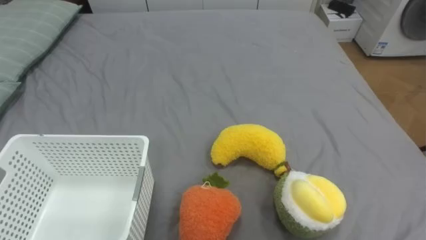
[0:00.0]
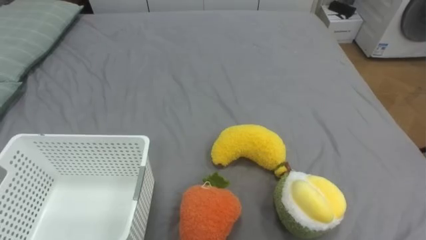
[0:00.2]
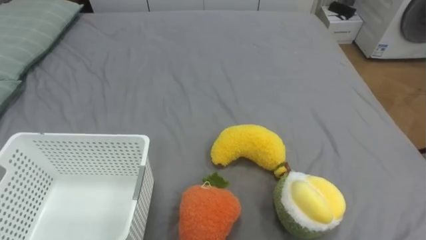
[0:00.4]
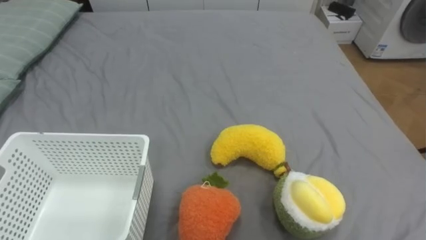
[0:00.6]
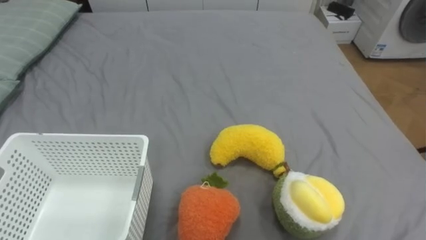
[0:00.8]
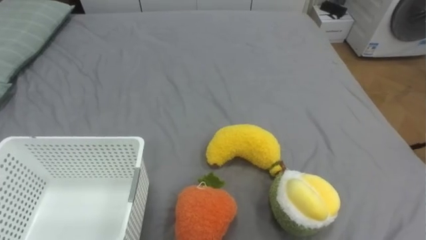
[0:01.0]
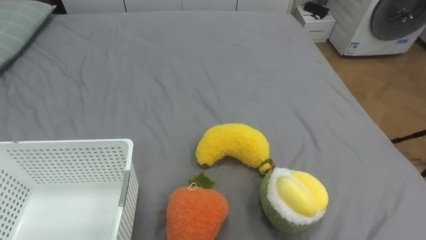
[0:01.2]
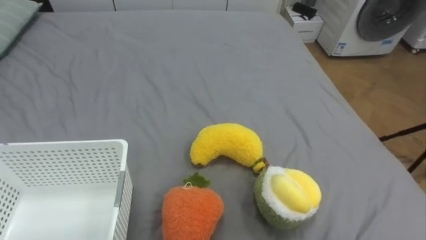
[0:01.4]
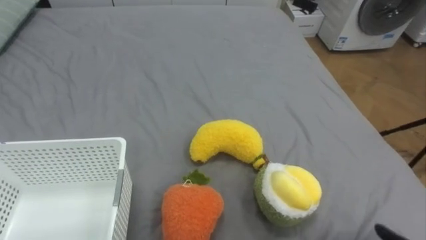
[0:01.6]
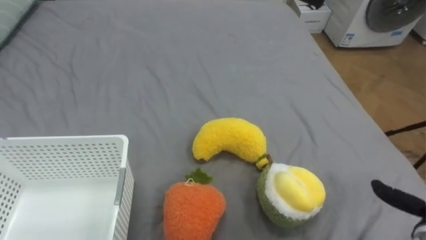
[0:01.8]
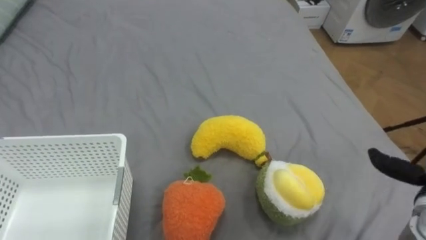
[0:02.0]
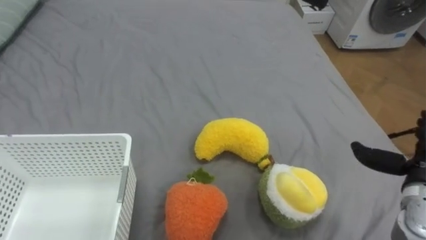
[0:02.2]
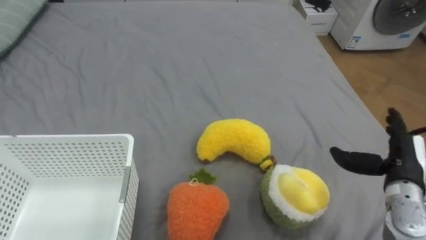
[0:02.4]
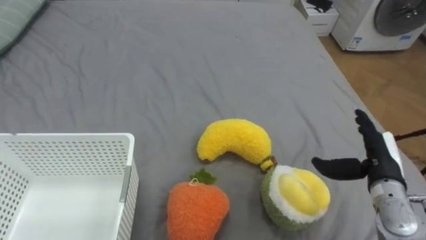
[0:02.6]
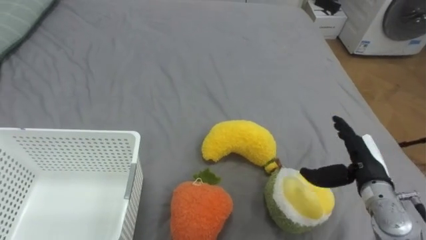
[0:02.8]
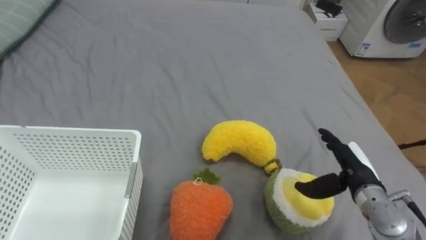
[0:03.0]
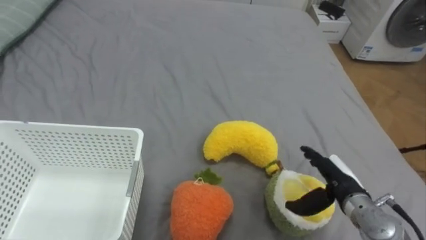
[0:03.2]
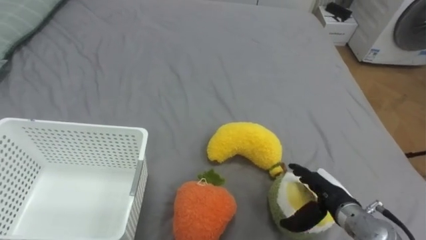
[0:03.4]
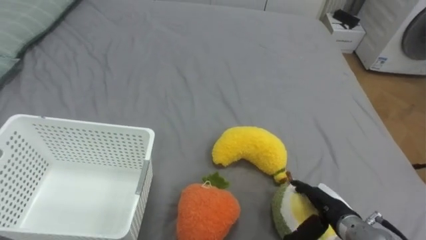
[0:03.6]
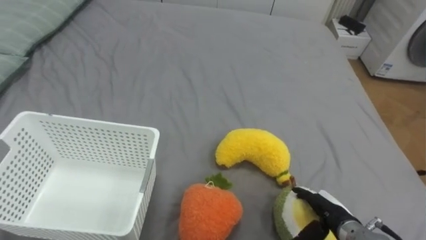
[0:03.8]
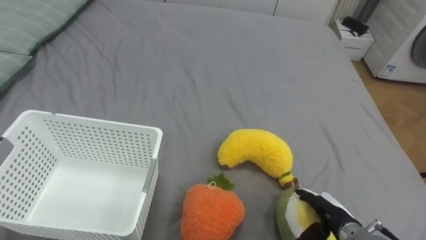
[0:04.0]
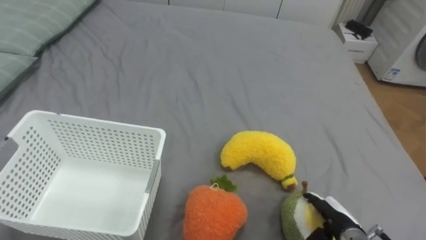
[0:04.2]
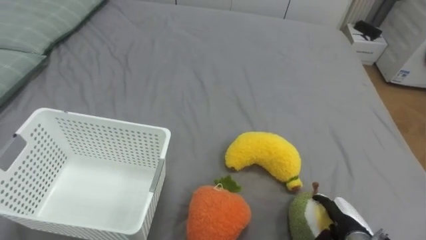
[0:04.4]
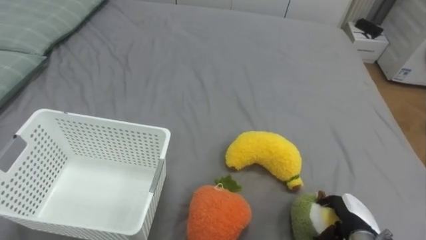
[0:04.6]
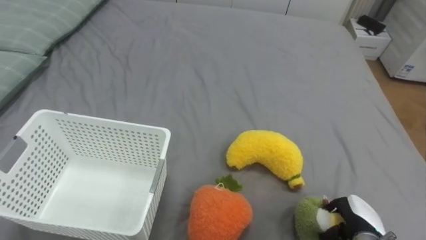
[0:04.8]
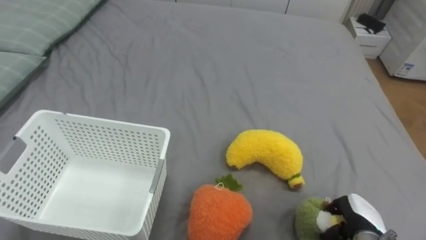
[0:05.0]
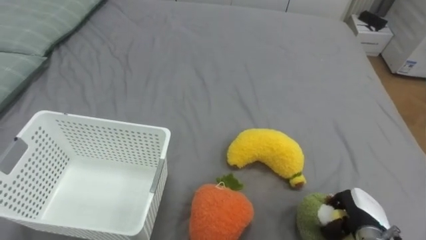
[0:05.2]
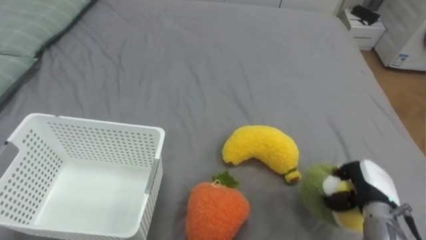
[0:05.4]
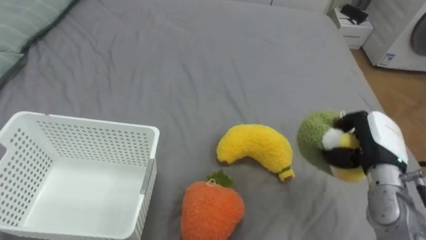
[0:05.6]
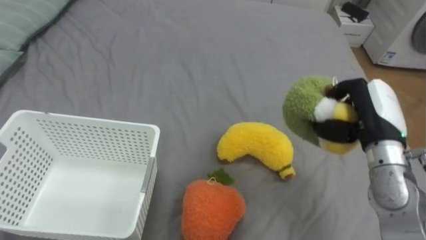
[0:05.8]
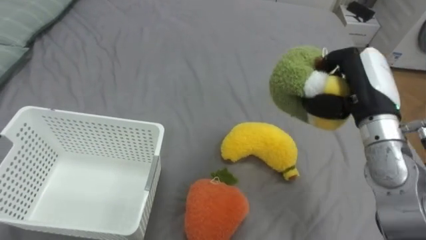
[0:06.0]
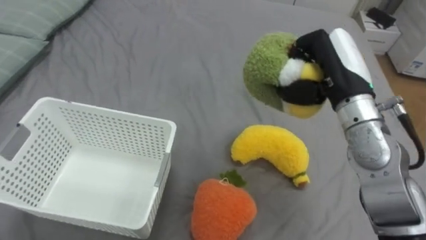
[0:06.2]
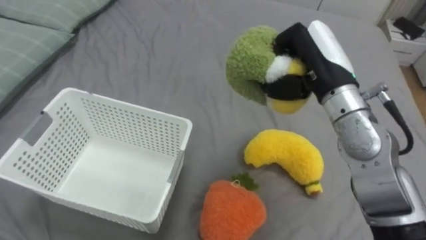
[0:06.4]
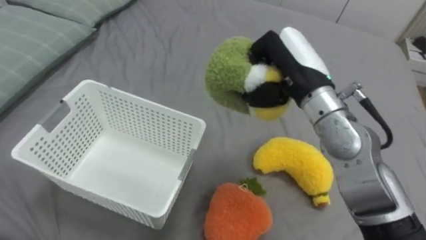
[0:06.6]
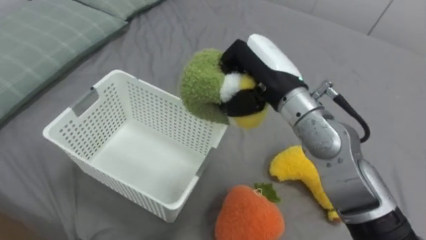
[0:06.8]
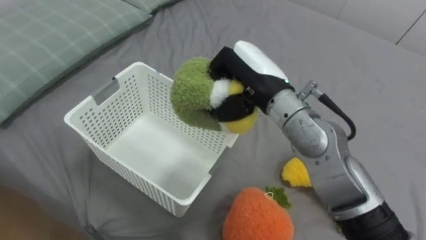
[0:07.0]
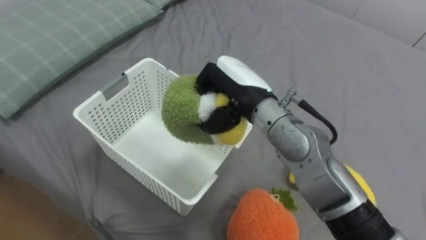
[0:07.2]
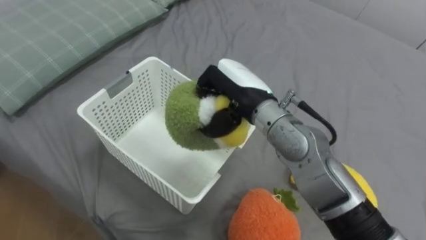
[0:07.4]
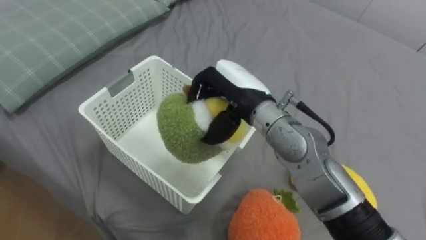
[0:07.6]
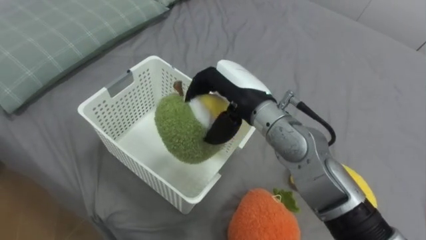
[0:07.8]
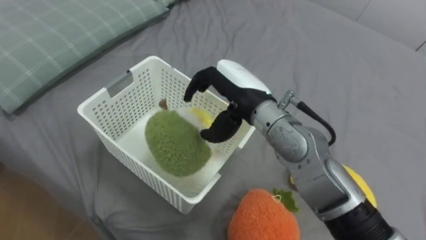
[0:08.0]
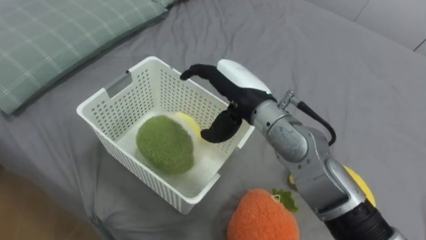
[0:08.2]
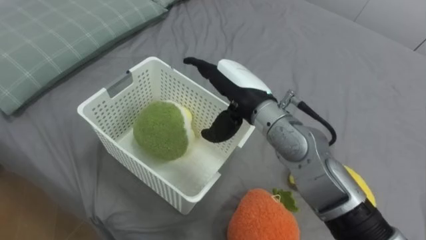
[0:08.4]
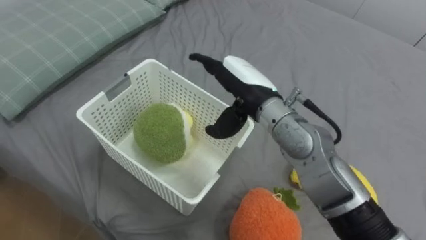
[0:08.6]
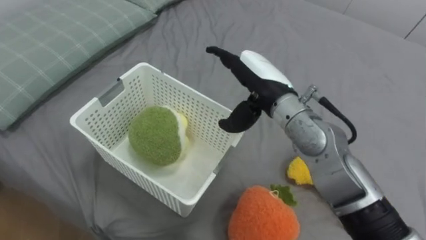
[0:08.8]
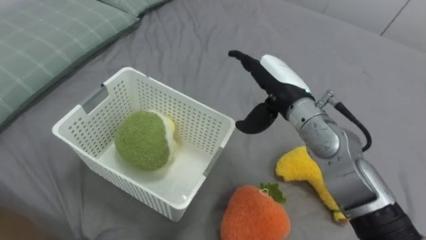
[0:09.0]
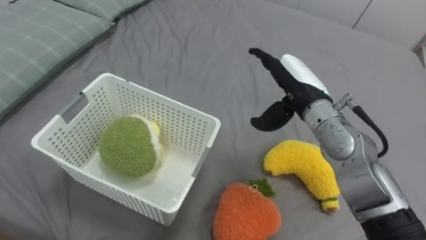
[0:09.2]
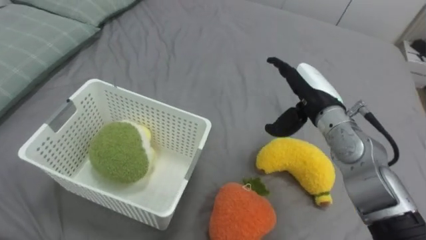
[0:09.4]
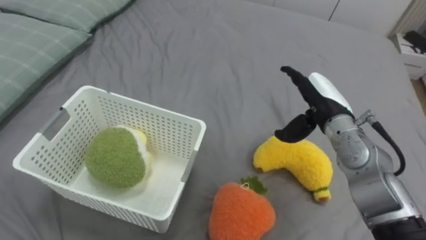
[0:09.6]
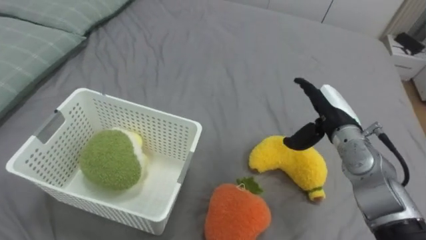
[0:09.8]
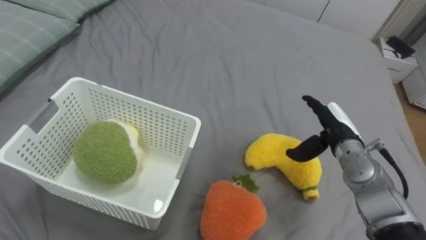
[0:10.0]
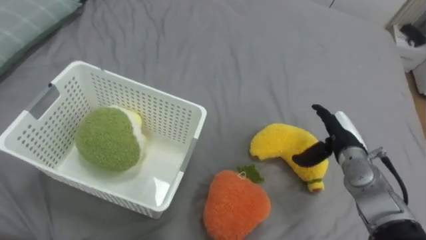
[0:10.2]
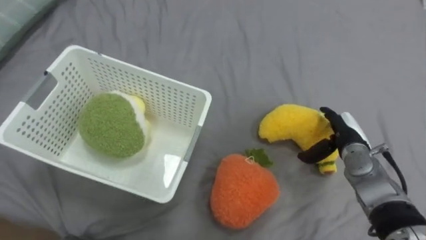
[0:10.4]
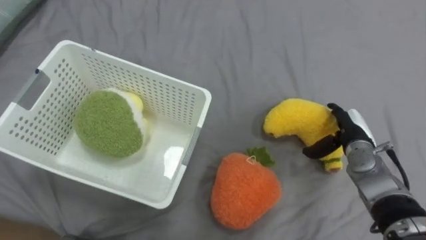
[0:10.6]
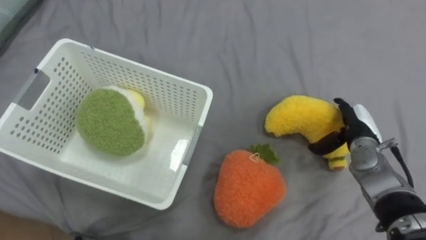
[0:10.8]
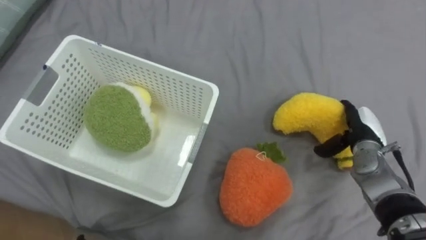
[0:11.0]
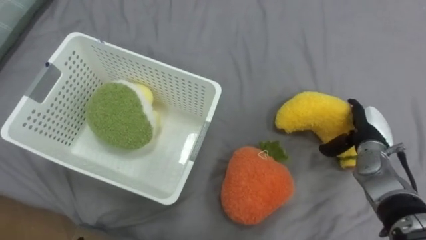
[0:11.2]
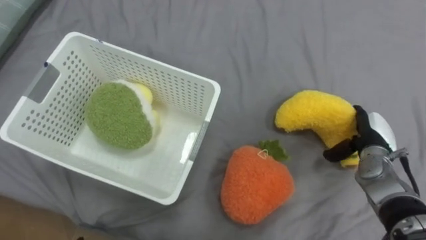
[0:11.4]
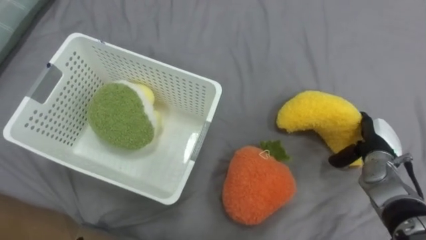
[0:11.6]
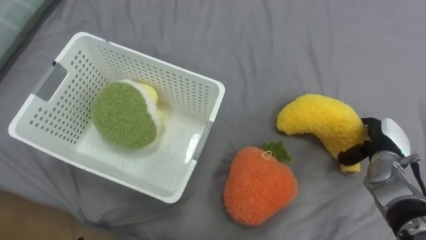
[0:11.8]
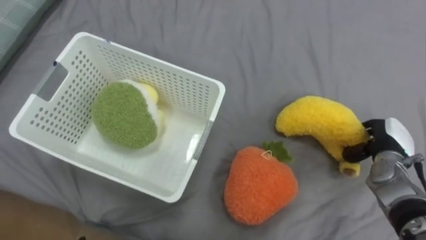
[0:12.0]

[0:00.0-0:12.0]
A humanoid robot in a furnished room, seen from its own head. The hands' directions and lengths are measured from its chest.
Task of the whole recording: Put the toys on the bed into the basket on the left.
0:03.0 to 0:04.4: The right hand heads downward and backward, covering approximately 15 cm.
0:04.4 to 0:06.0: The right hand heads upward and forward, covering some 30 cm, and closes up.
0:06.0 to 0:07.6: The right hand moves to the left, some 20 cm.
0:07.6 to 0:09.0: The right hand heads to the right, covering some 5 cm, and opens.
0:09.0 to 0:10.4: The right hand heads to the right and downward, covering approximately 20 cm.
0:10.4 to 0:12.0: The right hand heads to the right, covering some 5 cm, and closes.

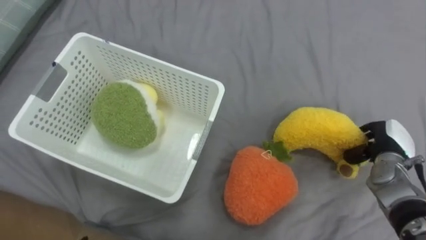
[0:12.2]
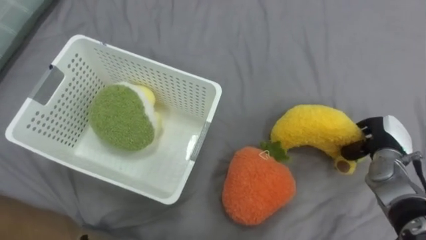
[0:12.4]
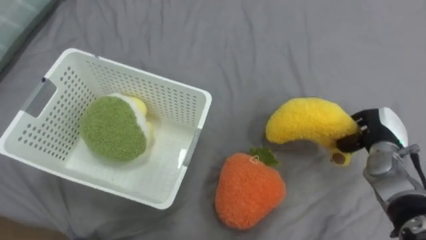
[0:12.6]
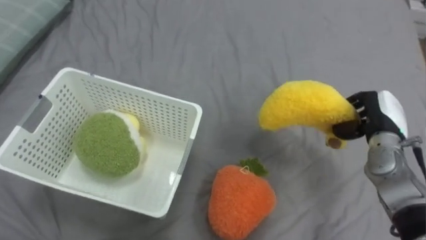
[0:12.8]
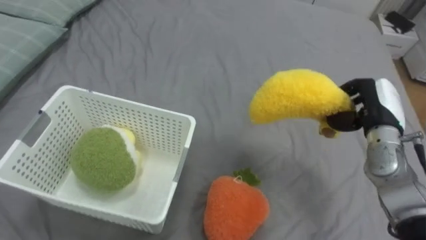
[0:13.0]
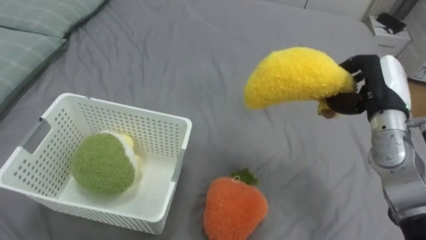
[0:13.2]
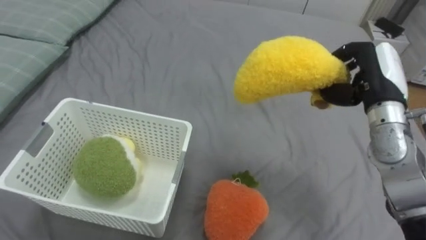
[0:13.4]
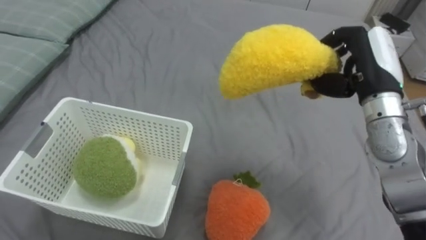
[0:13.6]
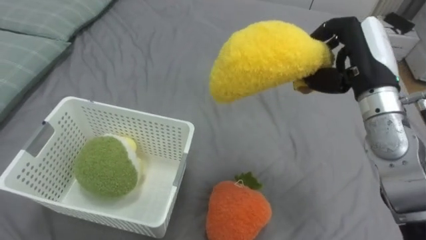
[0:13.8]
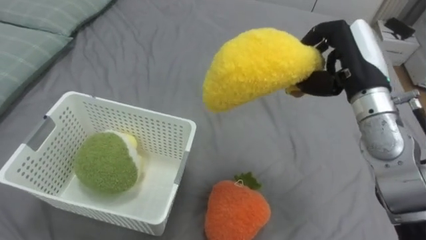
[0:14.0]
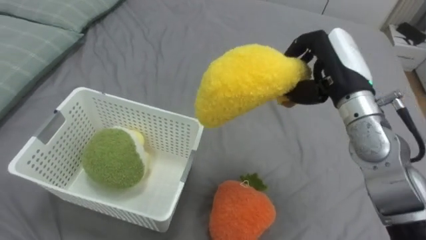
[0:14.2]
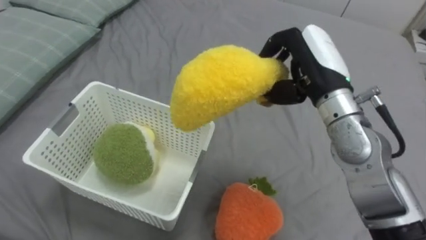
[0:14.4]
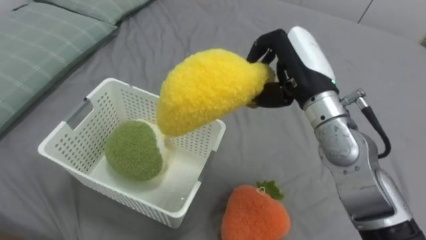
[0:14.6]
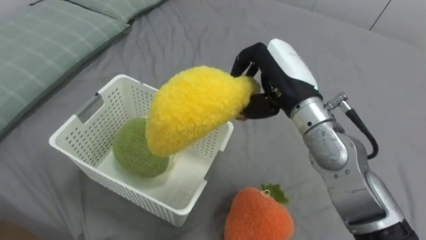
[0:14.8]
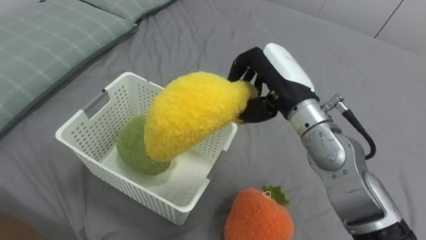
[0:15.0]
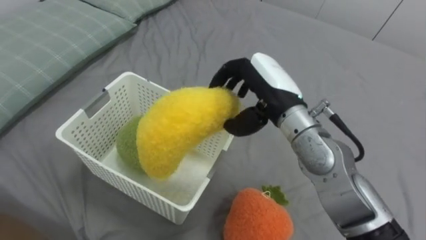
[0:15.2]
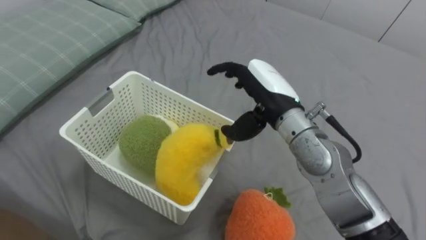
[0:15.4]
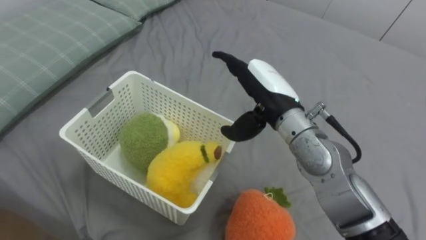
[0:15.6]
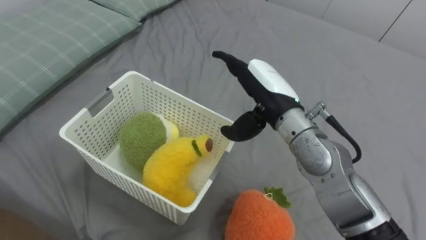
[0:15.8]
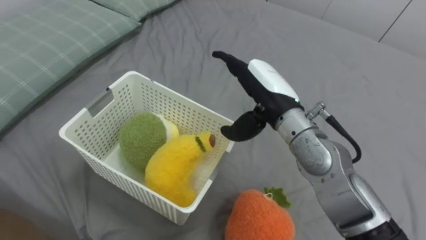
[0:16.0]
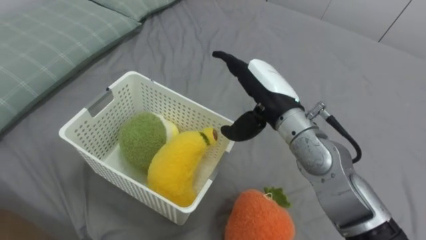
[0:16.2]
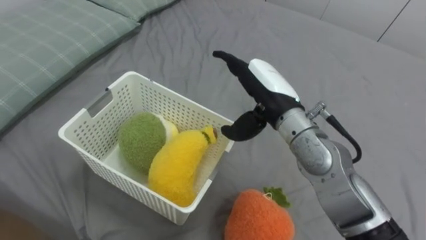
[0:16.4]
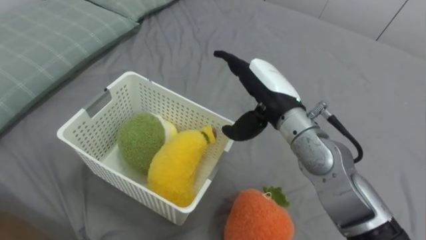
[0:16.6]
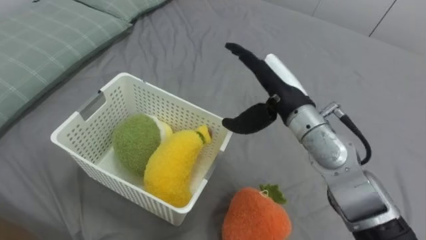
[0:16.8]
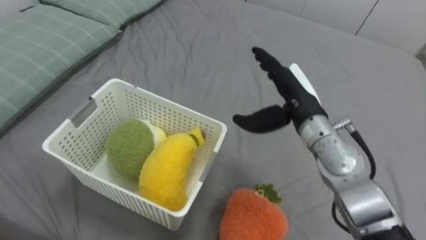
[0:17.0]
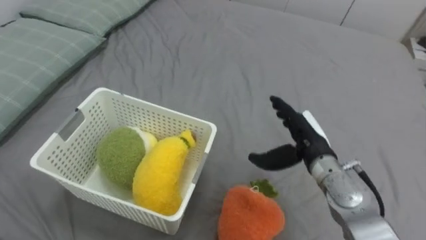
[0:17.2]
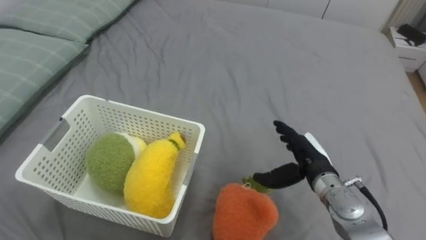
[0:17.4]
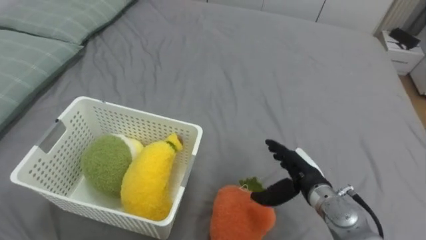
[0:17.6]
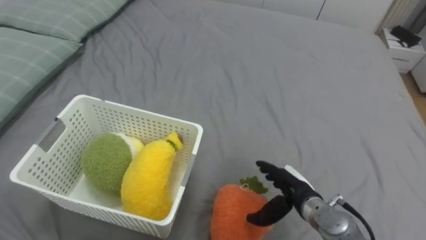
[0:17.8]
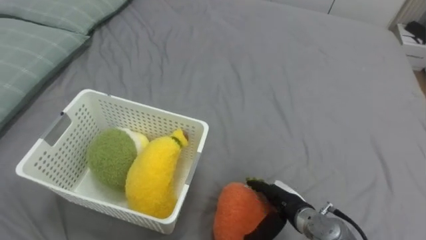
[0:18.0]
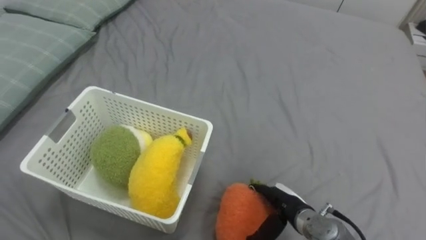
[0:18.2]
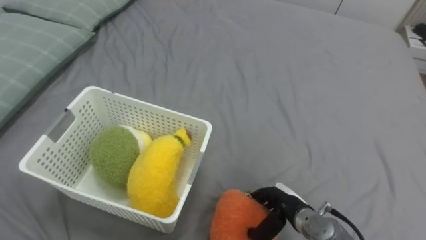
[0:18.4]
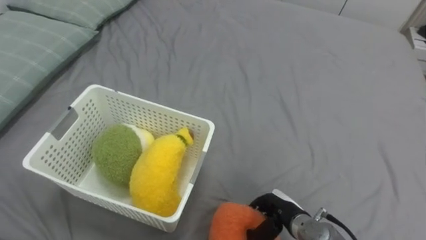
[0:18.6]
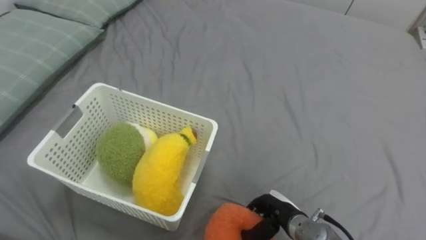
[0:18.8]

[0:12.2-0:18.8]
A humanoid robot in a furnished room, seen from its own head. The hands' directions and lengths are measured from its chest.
Task of the whole recording: Put the toys on the bed into the basket on the left.
0:12.2 to 0:13.8: The right hand shifts some 25 cm upward and to the left.
0:13.8 to 0:15.4: The right hand moves to the left, roughly 15 cm, and opens.
0:15.4 to 0:17.2: The right hand travels downward and to the right by about 15 cm.
0:17.2 to 0:18.8: The right hand moves downward and backward, some 20 cm, and closes.
